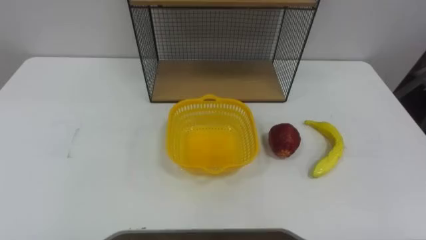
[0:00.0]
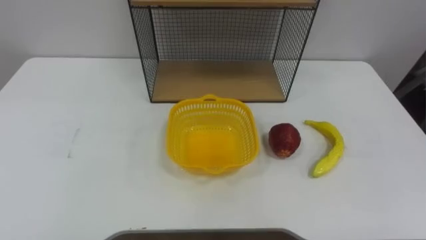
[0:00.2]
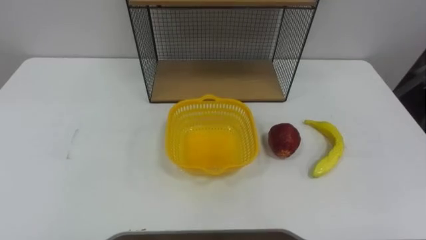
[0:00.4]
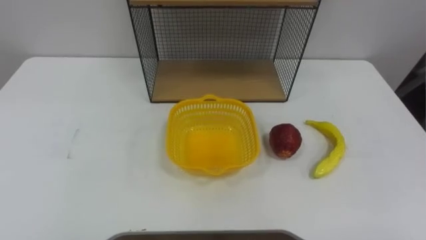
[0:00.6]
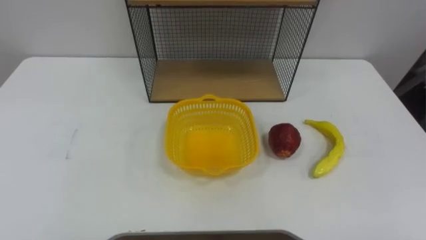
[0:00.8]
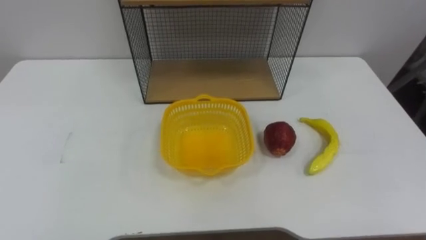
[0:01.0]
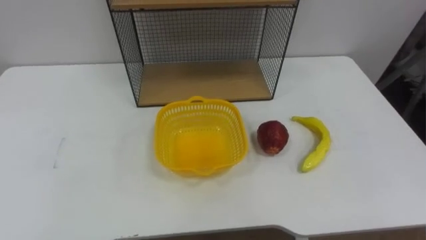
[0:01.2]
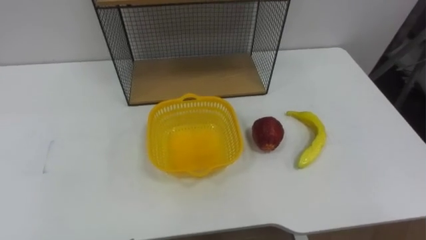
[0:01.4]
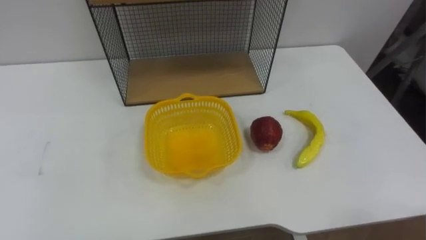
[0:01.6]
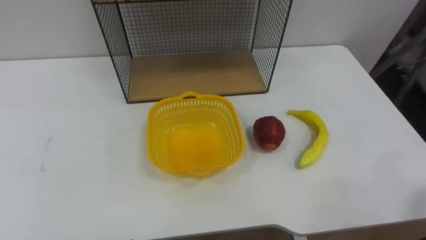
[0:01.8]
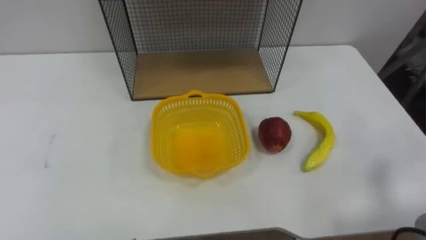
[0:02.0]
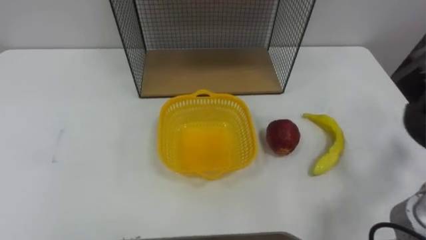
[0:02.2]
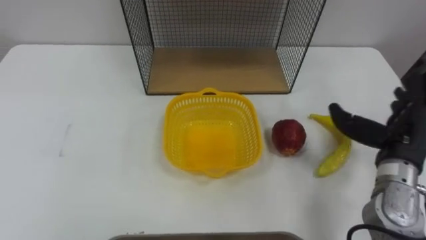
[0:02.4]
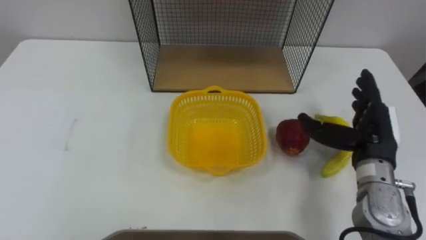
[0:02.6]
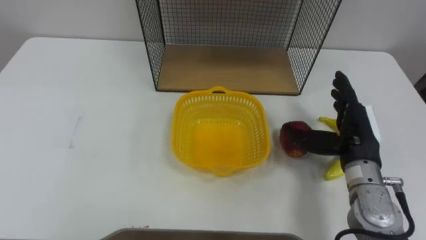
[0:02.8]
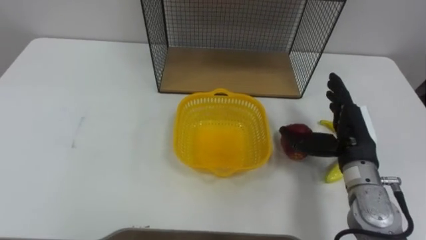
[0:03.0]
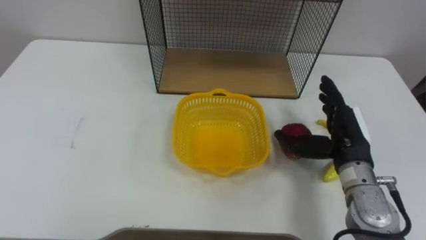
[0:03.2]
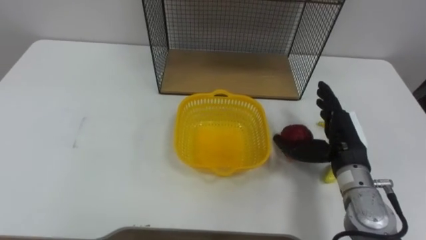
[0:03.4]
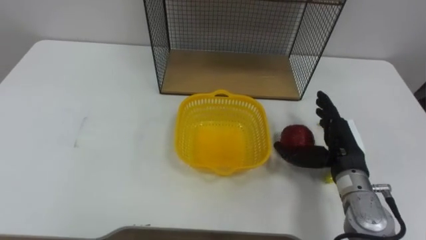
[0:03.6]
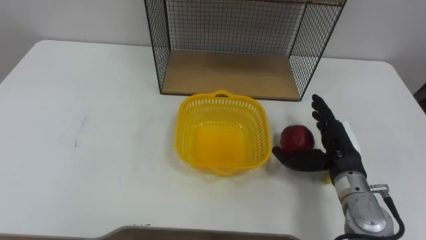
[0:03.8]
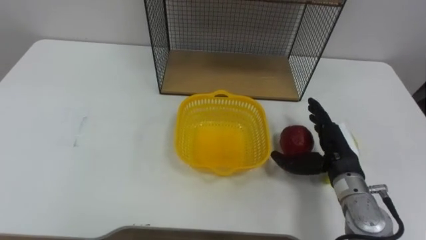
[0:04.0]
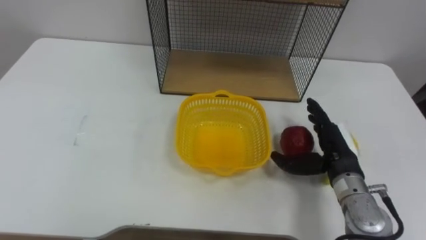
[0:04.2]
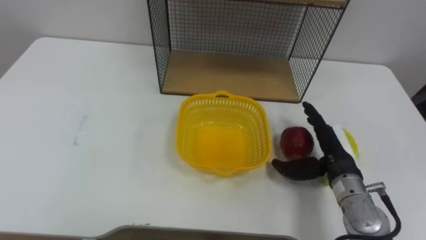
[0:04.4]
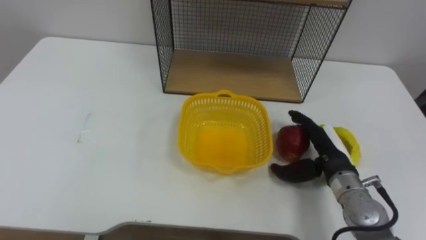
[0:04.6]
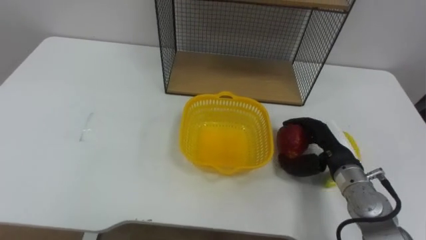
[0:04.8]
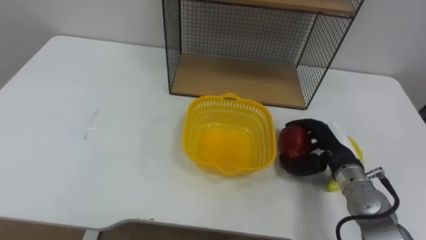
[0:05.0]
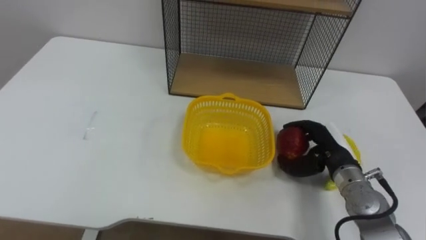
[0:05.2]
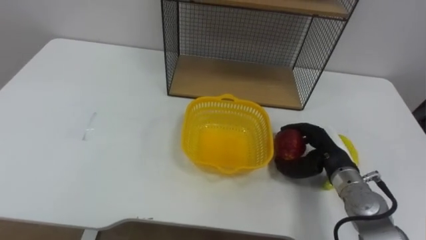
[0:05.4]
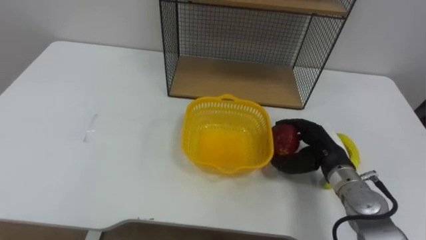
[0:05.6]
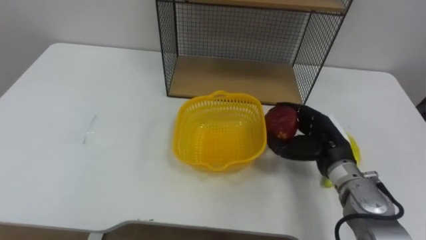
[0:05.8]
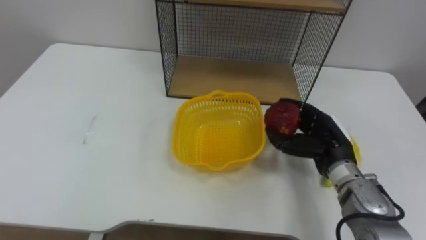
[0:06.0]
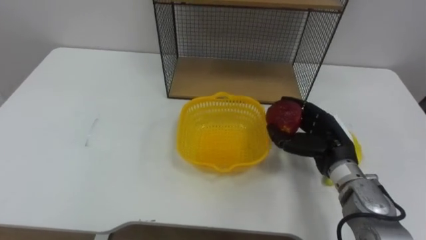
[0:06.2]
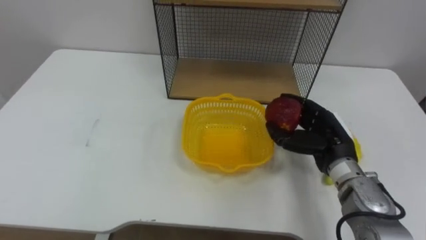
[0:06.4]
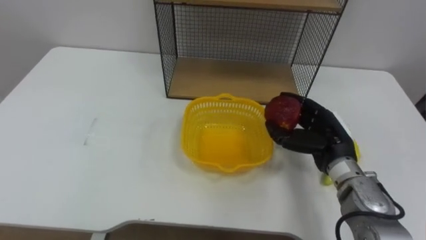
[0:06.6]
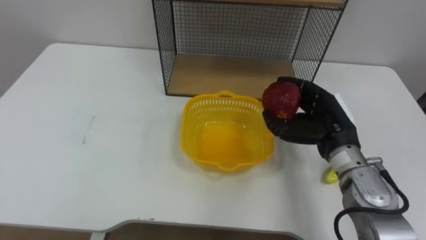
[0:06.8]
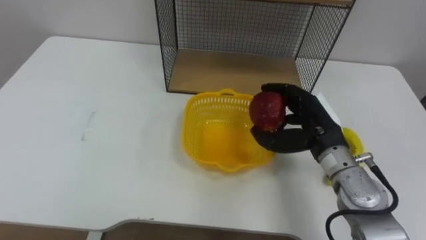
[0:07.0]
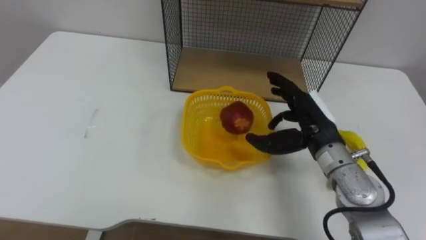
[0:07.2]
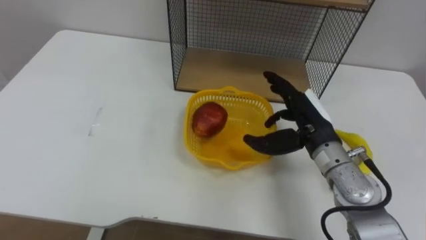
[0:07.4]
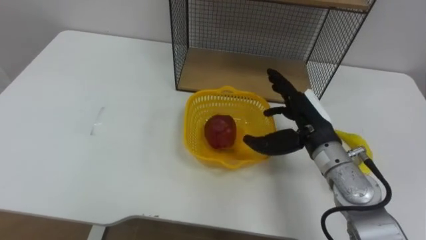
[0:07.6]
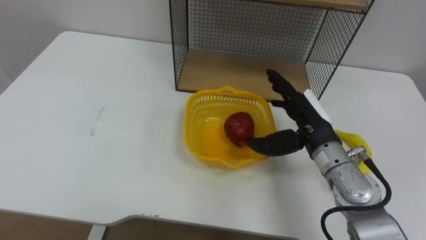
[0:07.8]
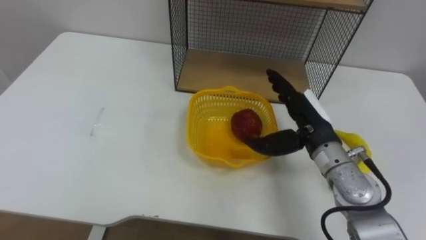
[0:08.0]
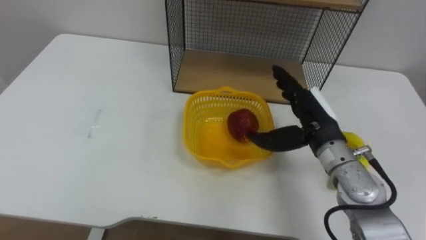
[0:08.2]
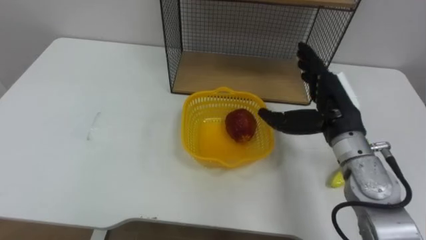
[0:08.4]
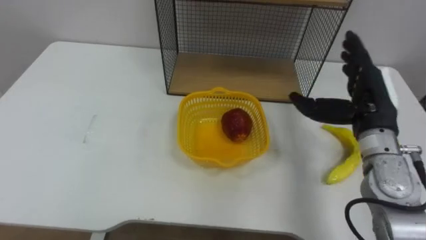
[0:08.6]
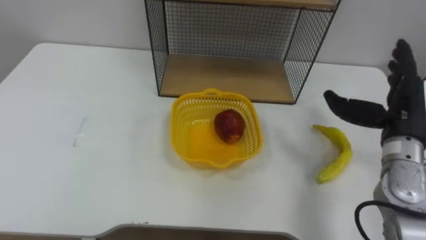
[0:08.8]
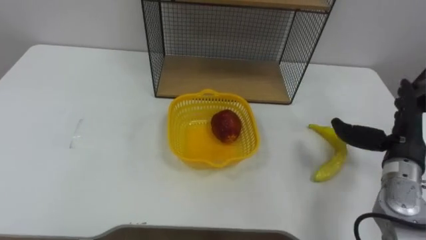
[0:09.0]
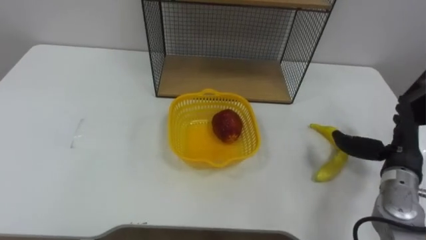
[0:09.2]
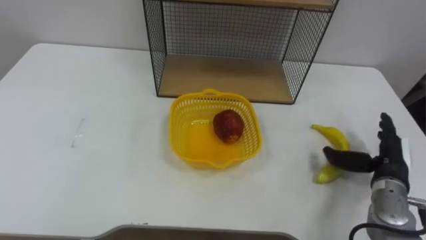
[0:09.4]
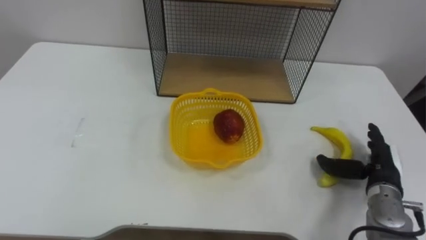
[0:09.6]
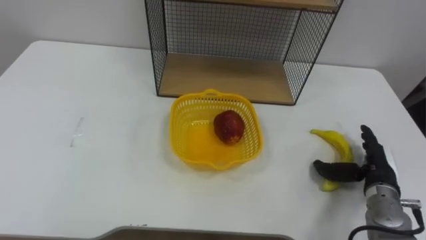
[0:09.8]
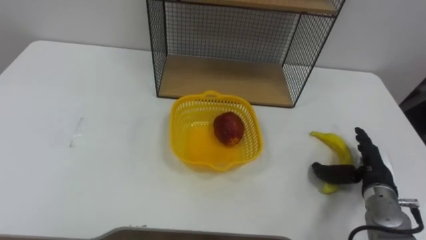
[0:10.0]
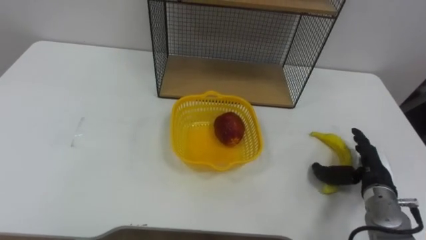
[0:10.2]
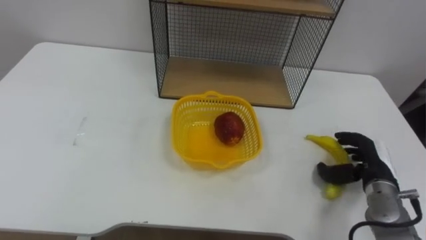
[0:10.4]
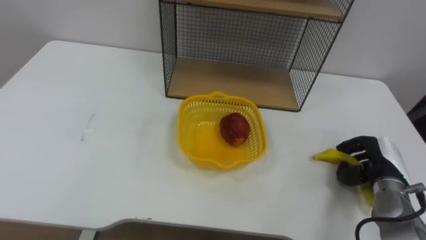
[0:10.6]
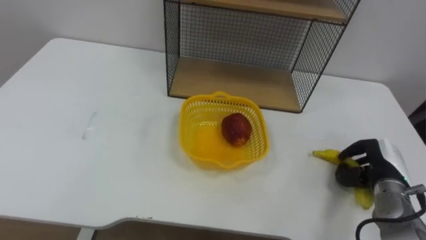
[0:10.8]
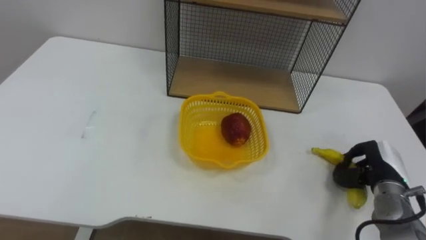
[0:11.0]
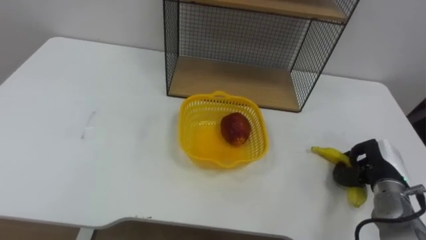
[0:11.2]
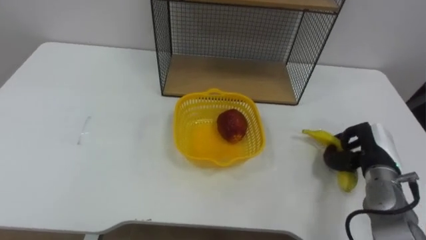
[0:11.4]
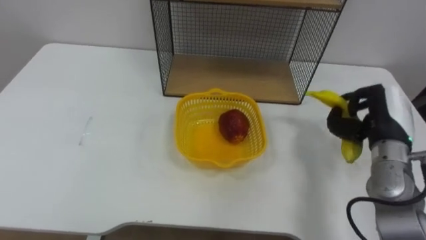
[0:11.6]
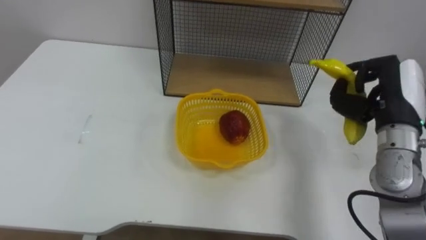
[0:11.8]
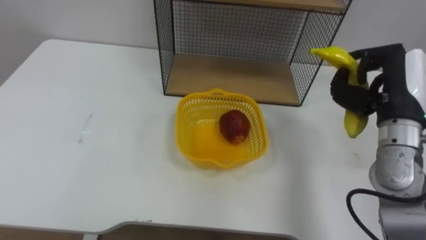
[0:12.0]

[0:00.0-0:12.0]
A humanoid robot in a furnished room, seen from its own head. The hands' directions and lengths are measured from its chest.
Task of the whole recording: Put the fruit on the table into the basket, then place the basket on the shelf.
0:04.4 to 0:06.0: The right hand closes its fingers.
0:06.0 to 0:07.6: The right hand travels upward by some 5 cm, and opens up.
0:07.6 to 0:09.0: The right hand shifts roughly 15 cm to the right.
0:09.0 to 0:10.4: The right hand heads downward, covering some 10 cm.
0:10.4 to 0:12.0: The right hand heads upward, covering approximately 20 cm, and closes.

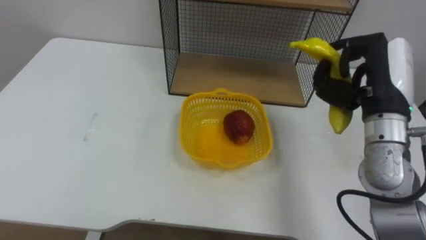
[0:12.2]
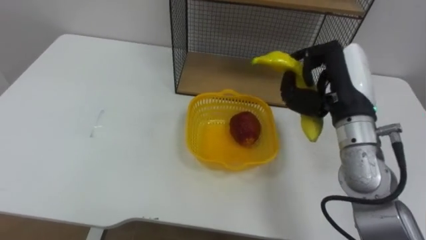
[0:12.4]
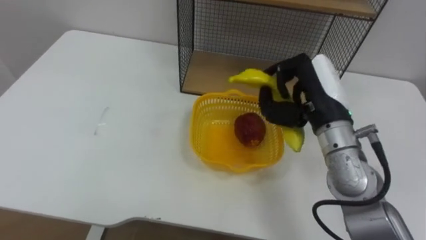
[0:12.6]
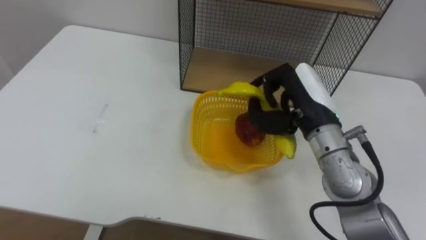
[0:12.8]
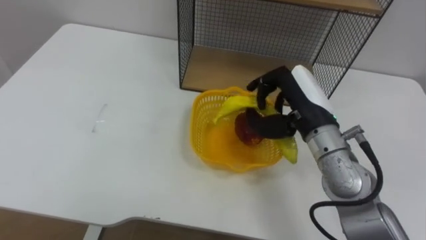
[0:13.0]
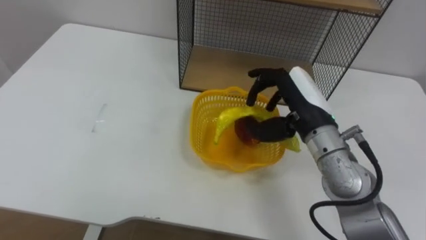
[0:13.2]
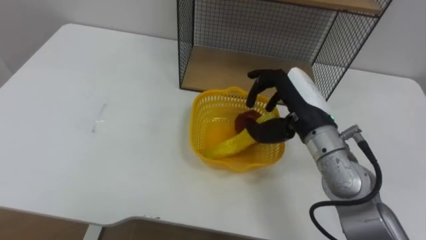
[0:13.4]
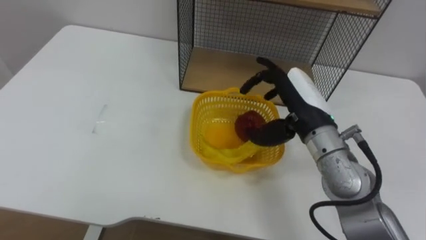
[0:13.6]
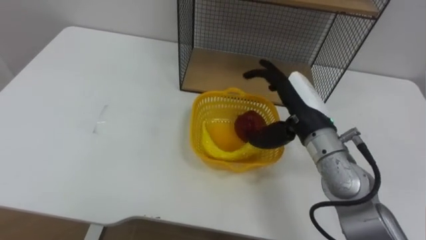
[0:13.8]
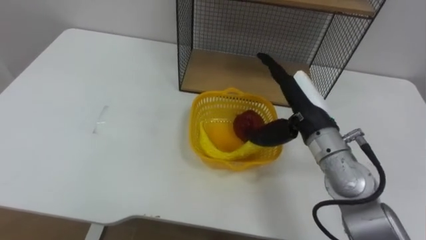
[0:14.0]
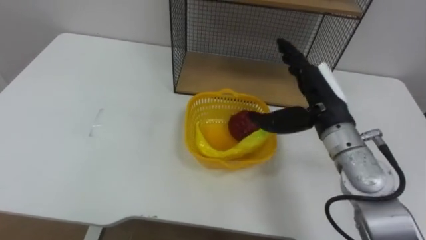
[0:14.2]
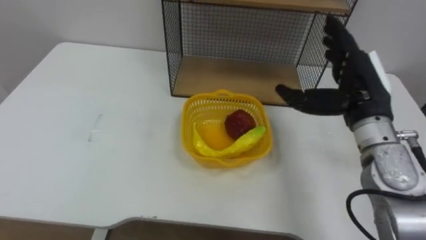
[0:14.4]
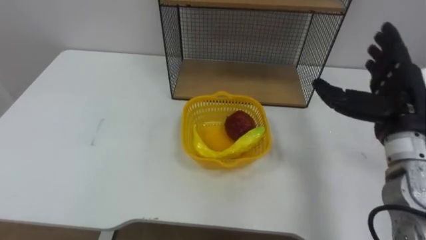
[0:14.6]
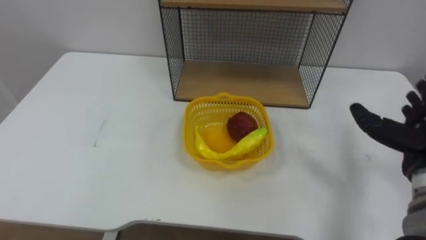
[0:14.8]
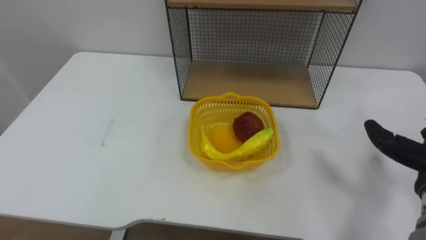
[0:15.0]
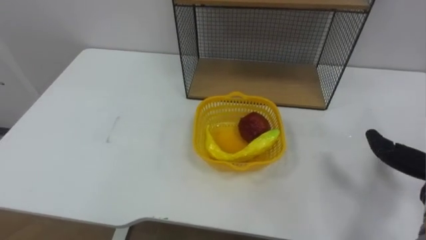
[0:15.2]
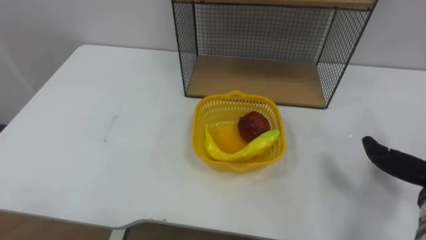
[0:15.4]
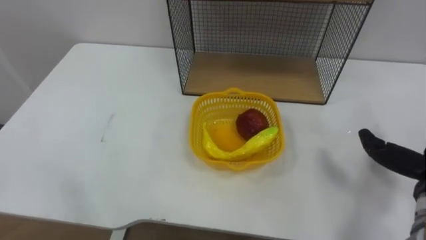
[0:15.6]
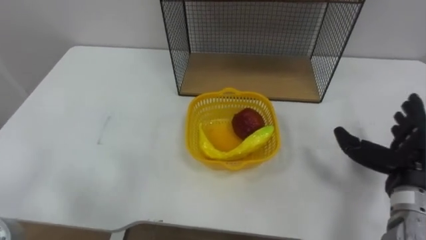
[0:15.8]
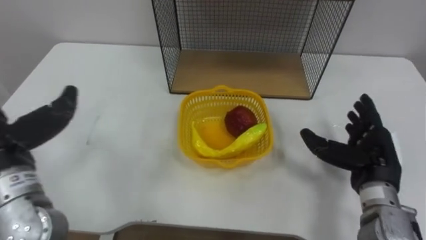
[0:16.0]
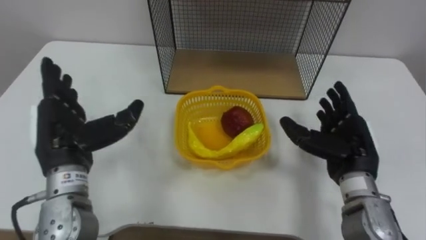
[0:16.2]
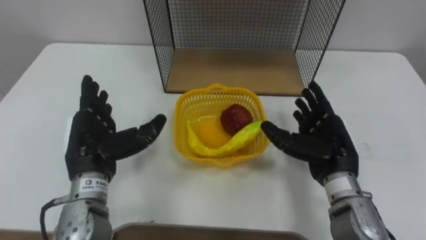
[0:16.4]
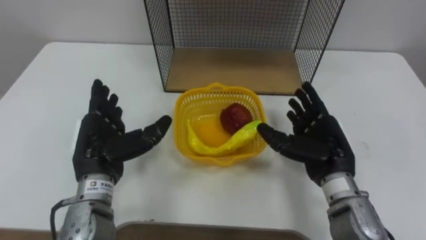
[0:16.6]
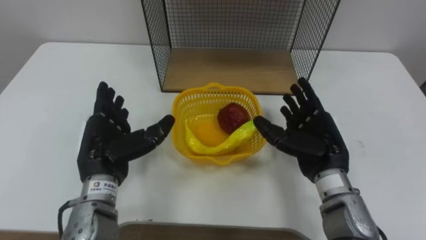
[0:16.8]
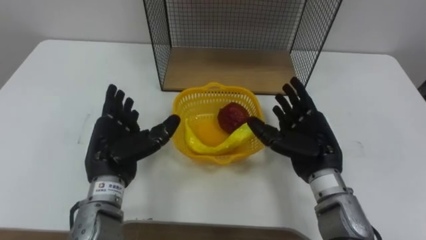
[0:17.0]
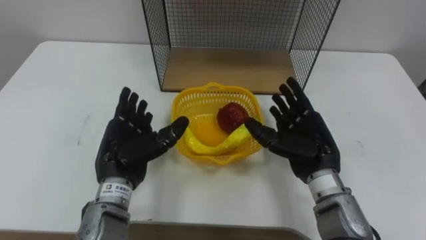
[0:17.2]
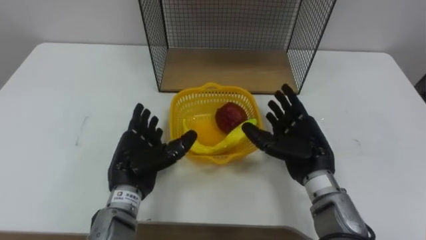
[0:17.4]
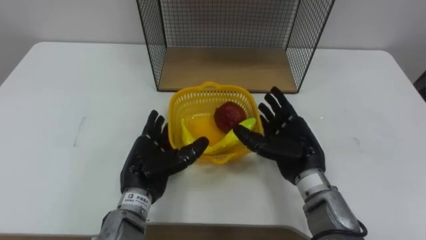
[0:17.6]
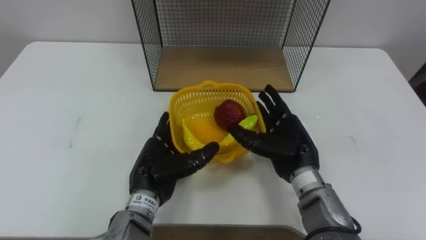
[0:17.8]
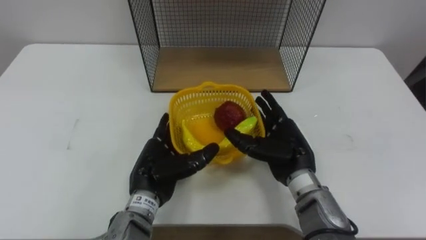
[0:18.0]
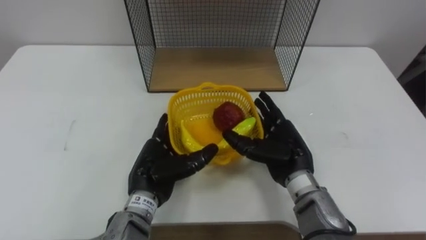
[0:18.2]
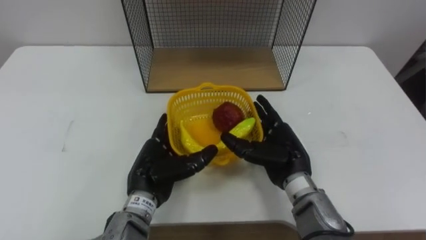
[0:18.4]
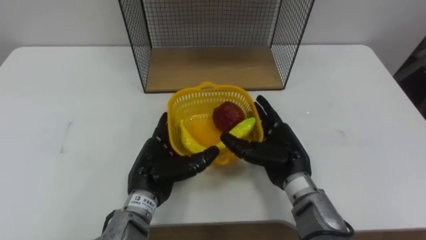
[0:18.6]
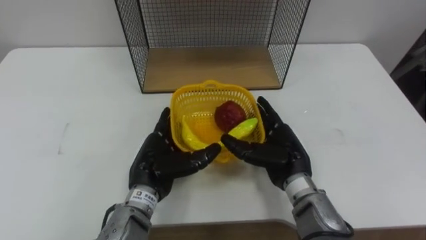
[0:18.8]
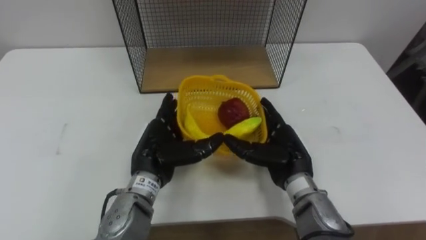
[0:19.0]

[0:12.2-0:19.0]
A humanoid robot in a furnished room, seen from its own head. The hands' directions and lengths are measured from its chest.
Task of the whole recording: Put the fruit on the table into the basket, then place the basket on the shelf.
0:12.2 to 0:13.6: The right hand moves to the left, roughly 10 cm, and opens up.
0:16.2 to 0:17.6: The right hand moves to the left, about 10 cm. Meanwhile the left hand travels to the right and downward by roughly 15 cm.
